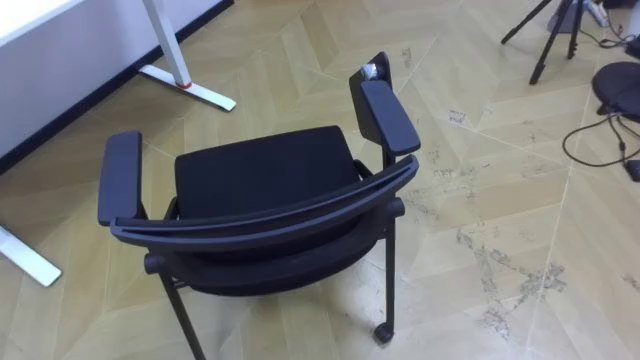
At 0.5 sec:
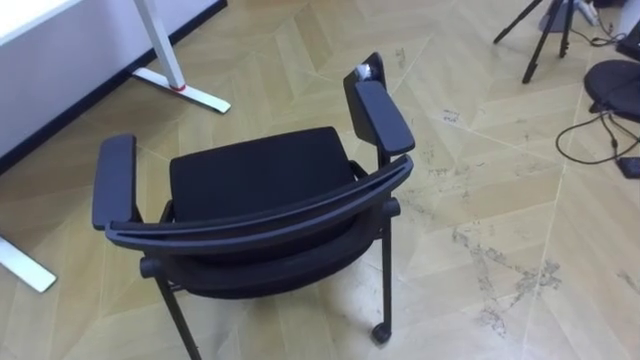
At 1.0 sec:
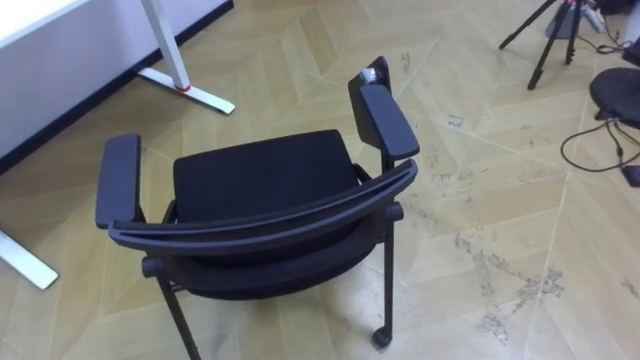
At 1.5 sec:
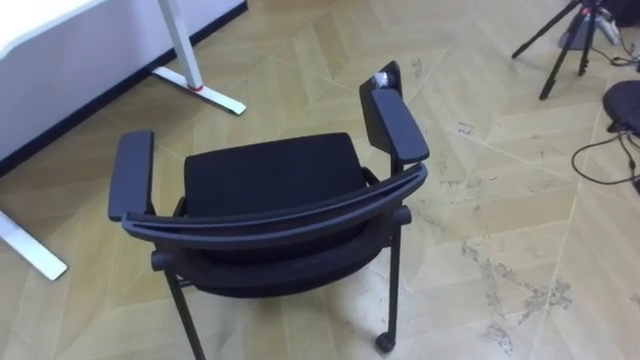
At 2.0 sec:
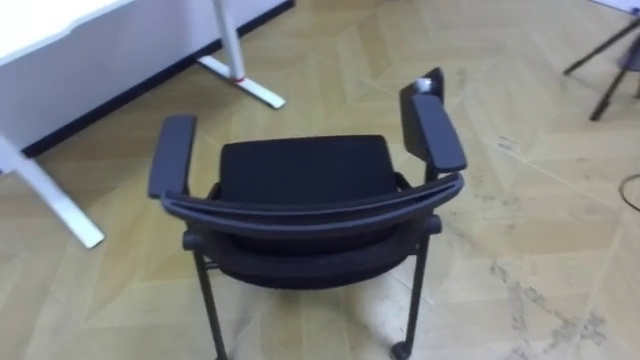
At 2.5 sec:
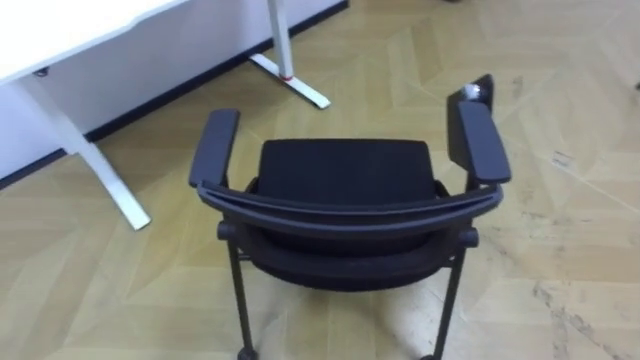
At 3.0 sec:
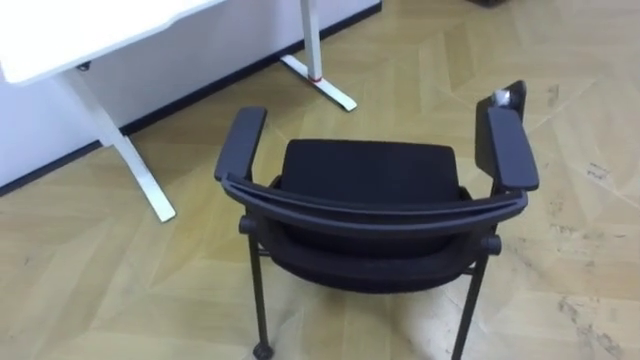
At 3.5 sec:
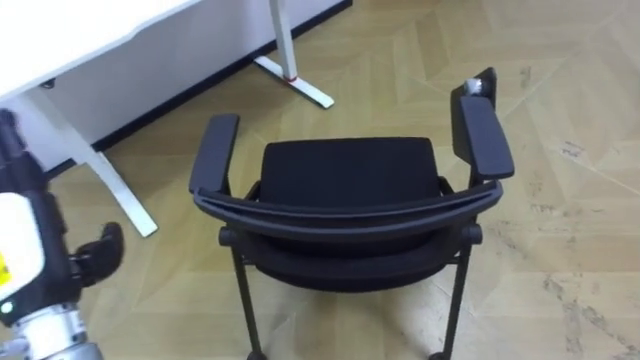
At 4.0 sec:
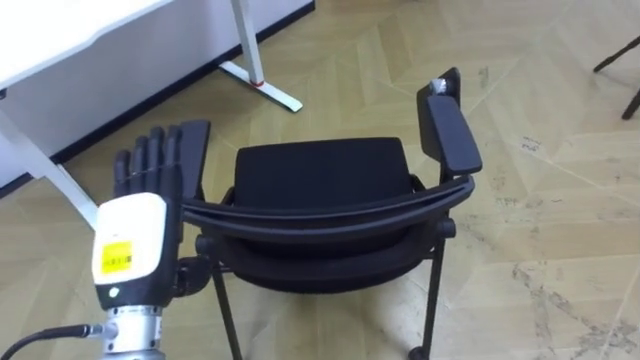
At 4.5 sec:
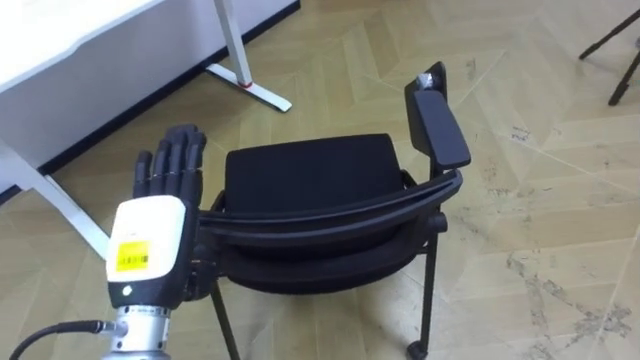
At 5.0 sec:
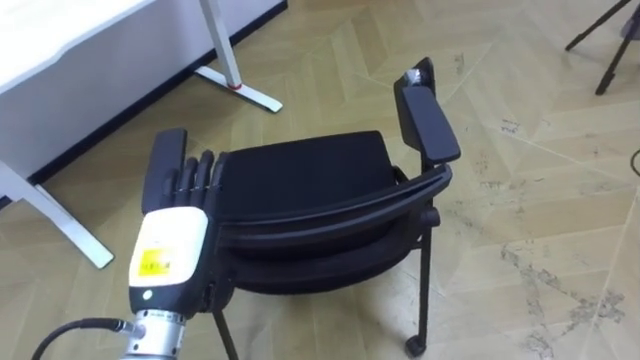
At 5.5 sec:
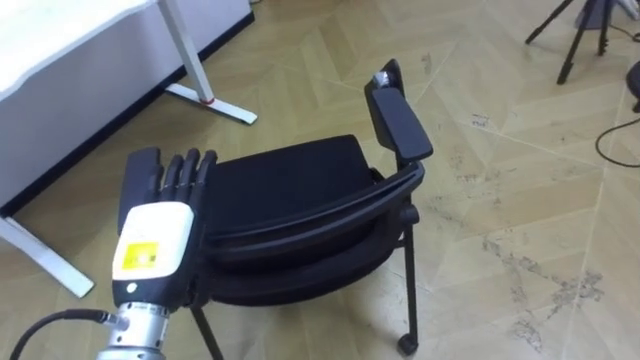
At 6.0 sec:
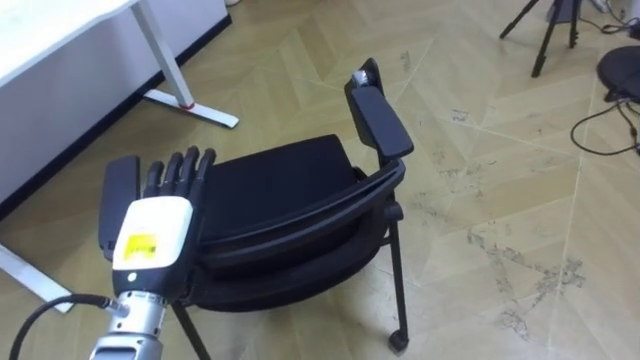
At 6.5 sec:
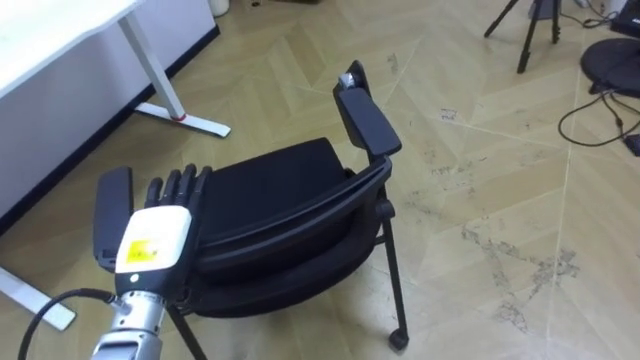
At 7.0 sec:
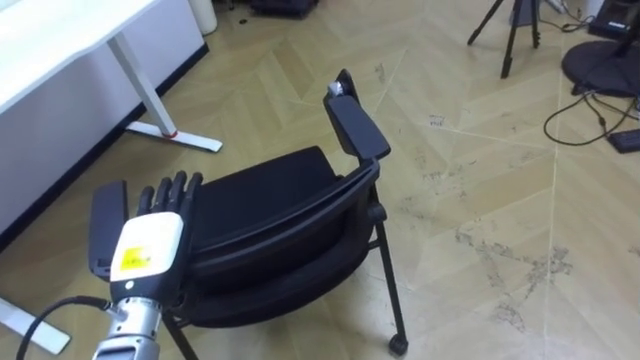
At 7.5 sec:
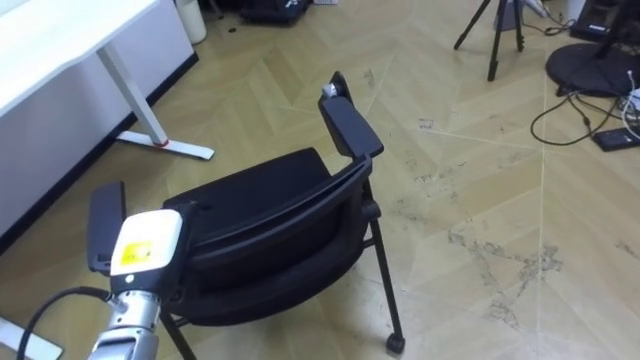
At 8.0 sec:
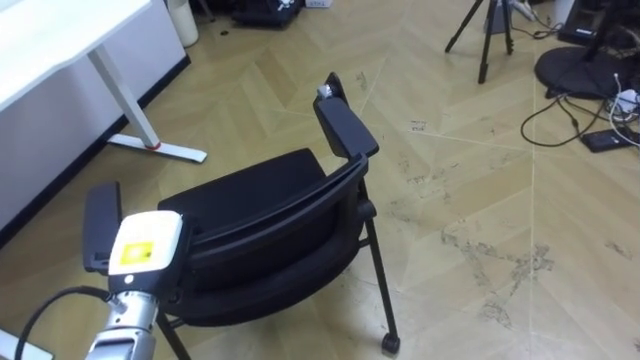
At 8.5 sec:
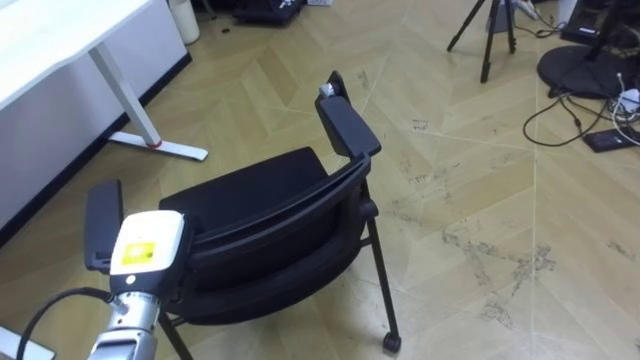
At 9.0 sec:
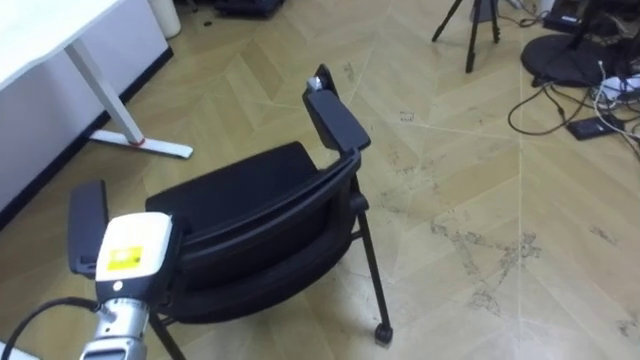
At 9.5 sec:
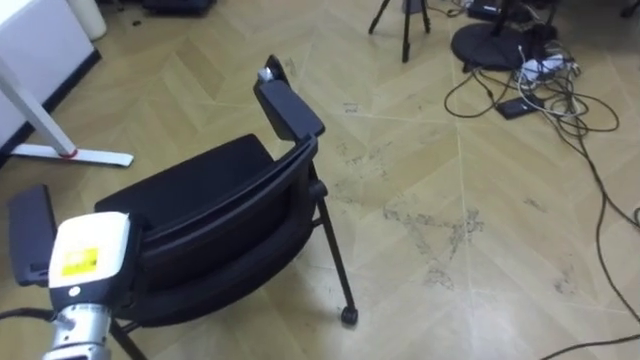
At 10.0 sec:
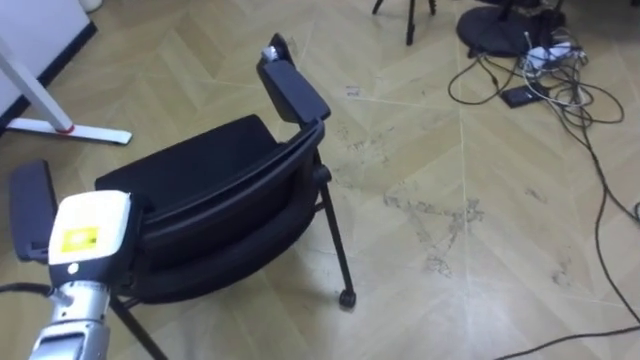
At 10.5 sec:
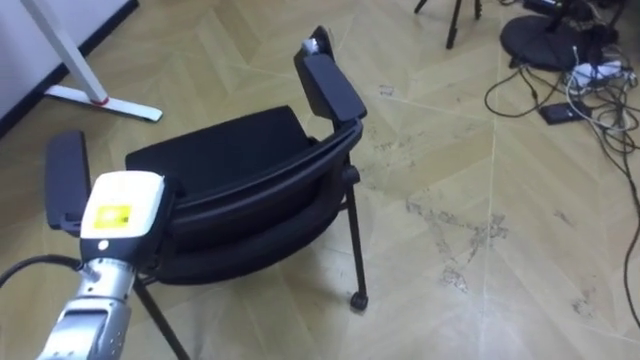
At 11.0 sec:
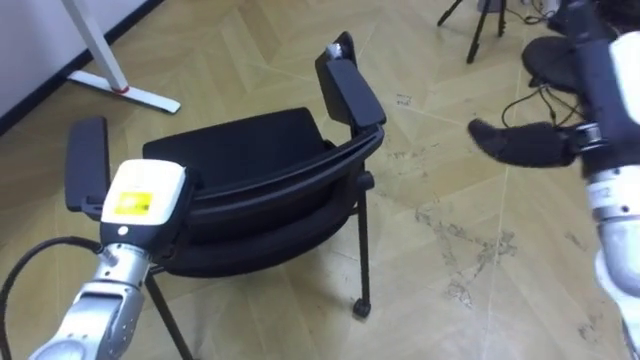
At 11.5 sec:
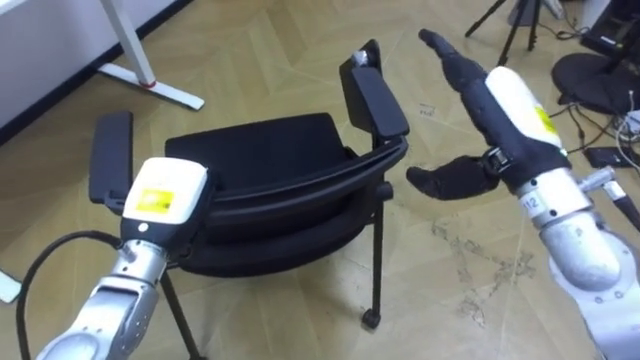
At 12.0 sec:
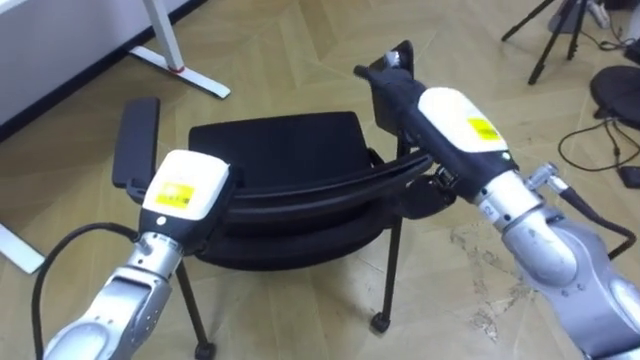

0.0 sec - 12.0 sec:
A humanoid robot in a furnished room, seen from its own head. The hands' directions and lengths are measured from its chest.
Task of the whole recording: Push the chair under the table.
6.0 sec - 8.0 sec: The left hand moves downward, about 5 cm, and closes its fingers.
8.0 sec - 10.0 sec: The left hand ends up some 5 cm from where it was.
10.0 sec - 12.0 sec: The left hand goes roughly 10 cm to the right.

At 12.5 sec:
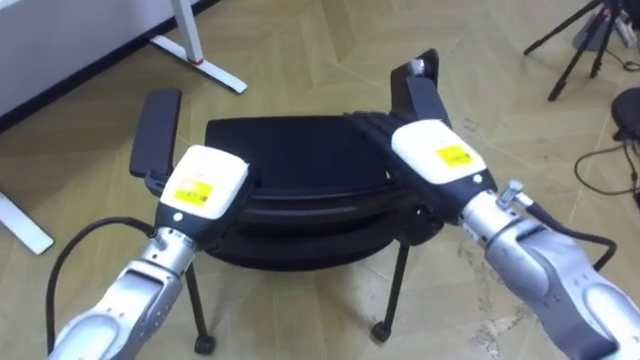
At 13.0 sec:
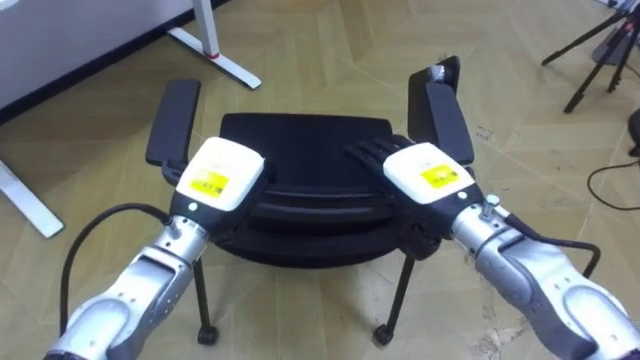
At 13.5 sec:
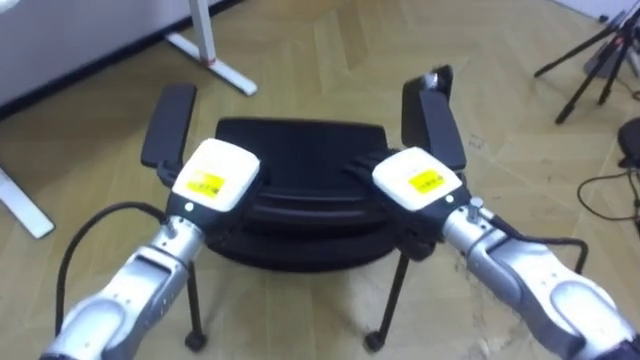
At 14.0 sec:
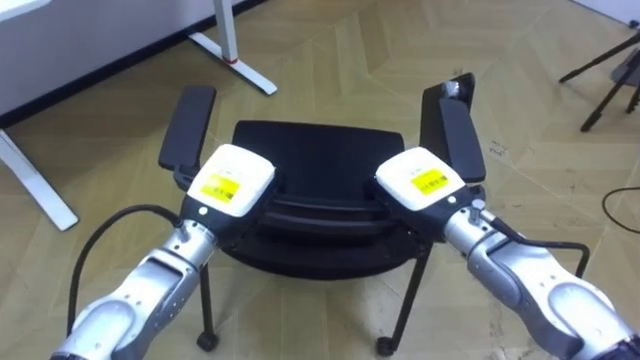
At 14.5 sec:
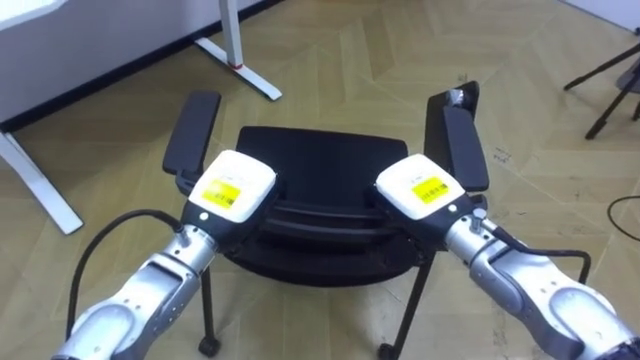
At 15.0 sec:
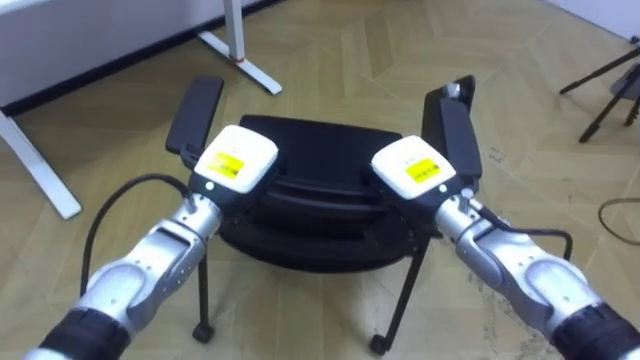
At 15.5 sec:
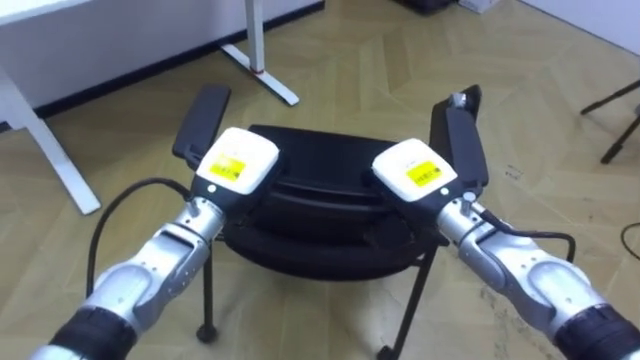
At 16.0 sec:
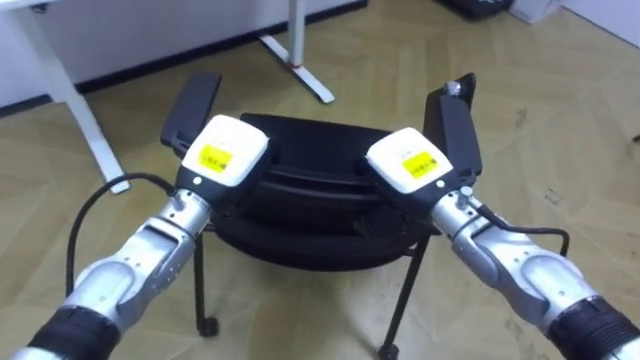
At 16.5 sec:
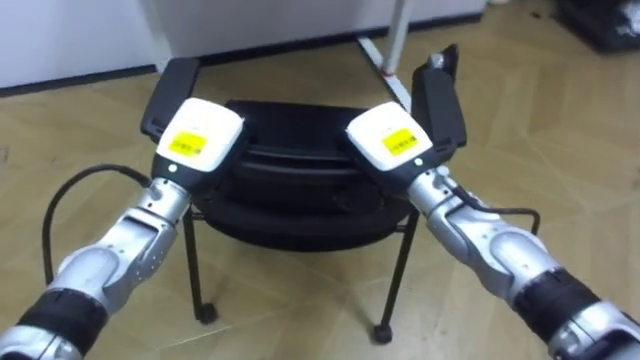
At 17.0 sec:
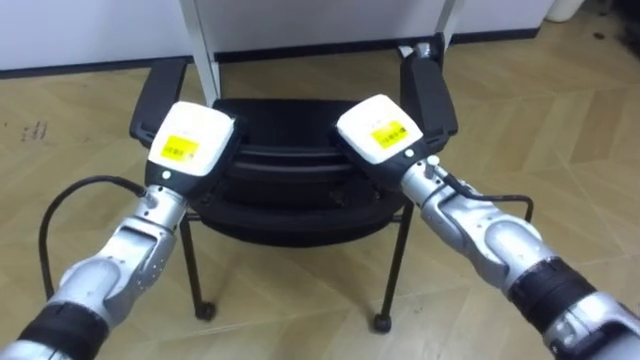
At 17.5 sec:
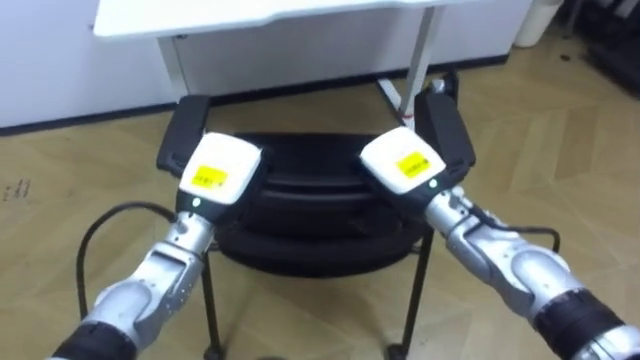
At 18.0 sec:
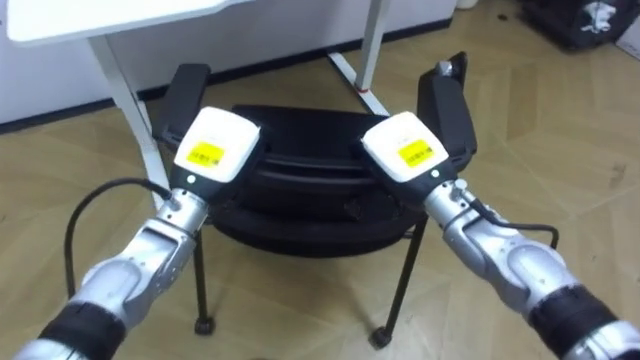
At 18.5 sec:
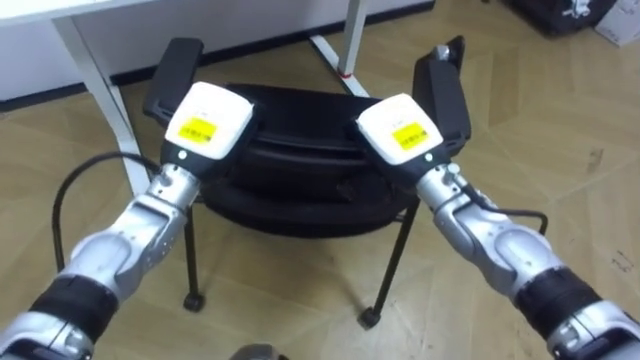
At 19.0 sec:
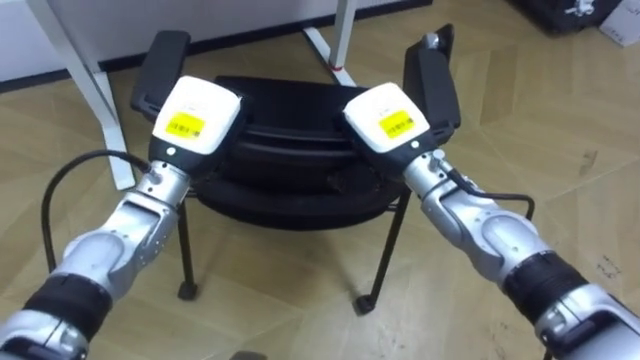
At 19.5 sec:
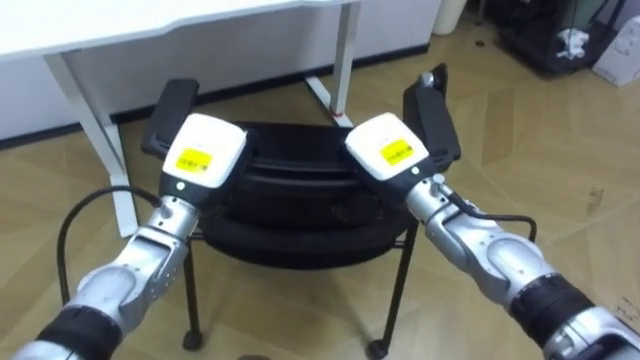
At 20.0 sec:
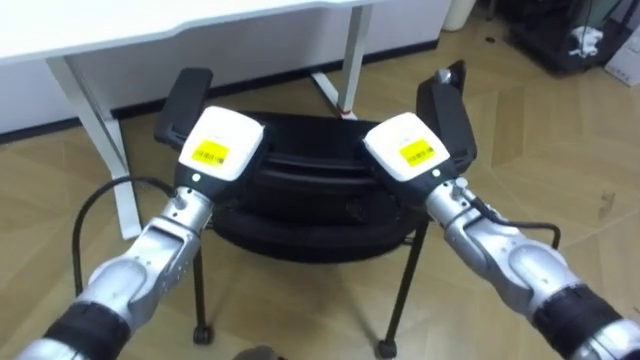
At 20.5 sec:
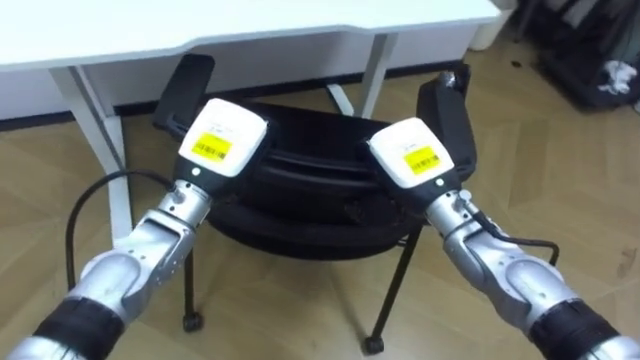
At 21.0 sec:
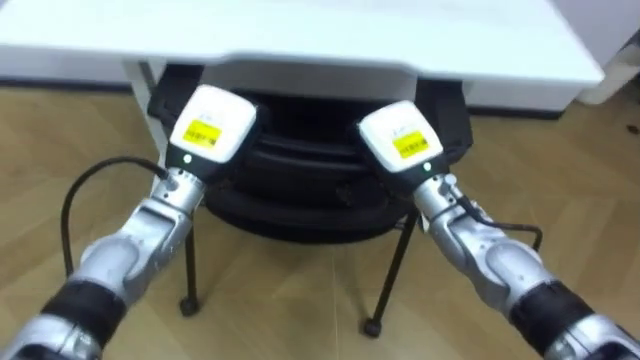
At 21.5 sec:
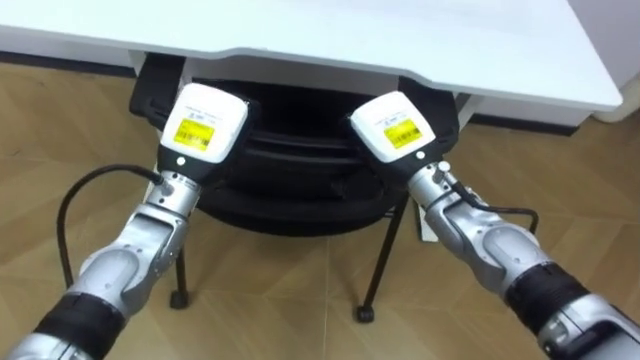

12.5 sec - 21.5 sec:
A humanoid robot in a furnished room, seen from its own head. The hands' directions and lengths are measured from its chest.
Task of the whole recording: Push the chair under the table.
12.5 sec - 14.5 sec: The right hand goes about 5 cm downward, and closes its fingers.
14.5 sec - 17.0 sec: The robot's body swings approximately 25 degrees to its left. The right hand is displaced forward and to the left by approximately 10 cm. The left hand changes place by roughly 5 cm.
19.5 sec - 21.5 sec: The robot faces about 25 degrees further to its left.
